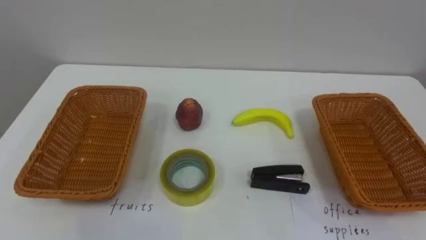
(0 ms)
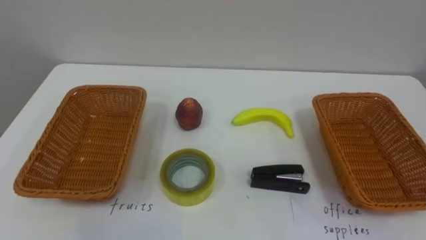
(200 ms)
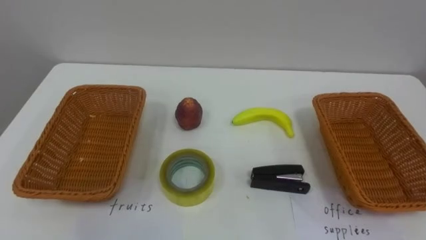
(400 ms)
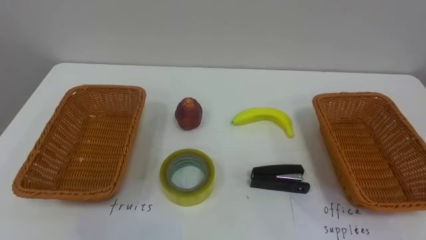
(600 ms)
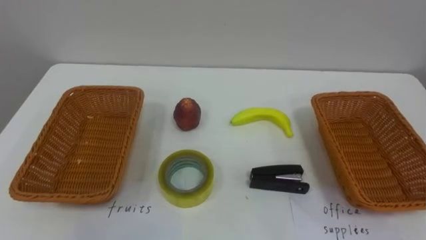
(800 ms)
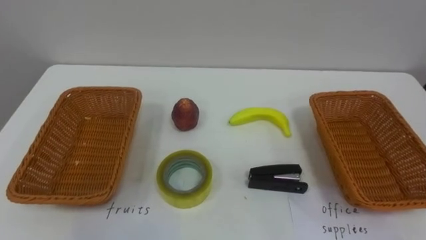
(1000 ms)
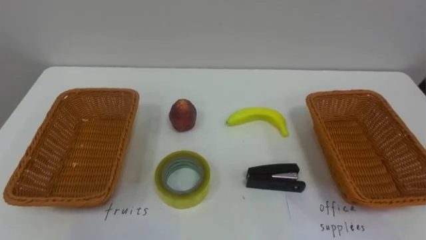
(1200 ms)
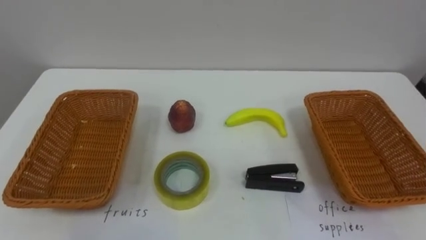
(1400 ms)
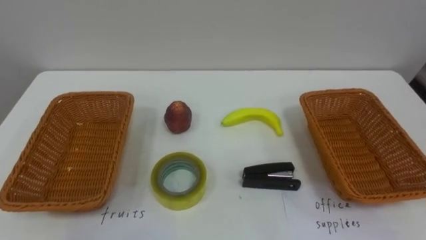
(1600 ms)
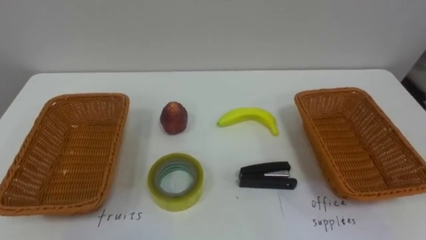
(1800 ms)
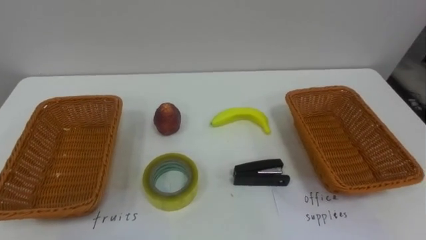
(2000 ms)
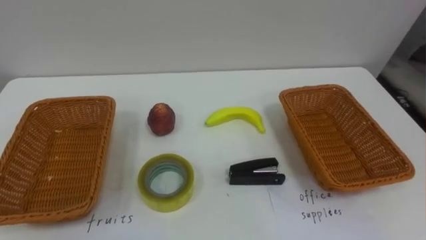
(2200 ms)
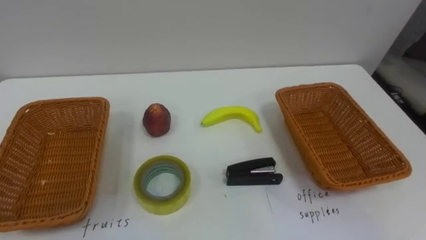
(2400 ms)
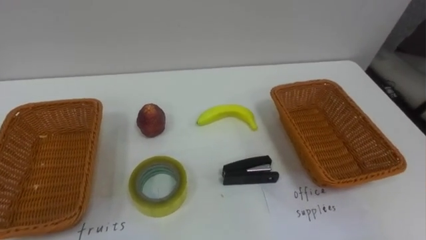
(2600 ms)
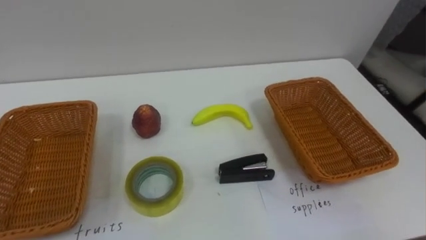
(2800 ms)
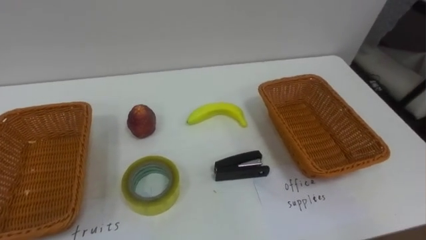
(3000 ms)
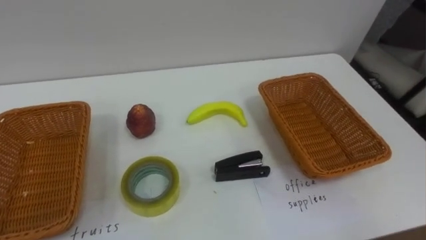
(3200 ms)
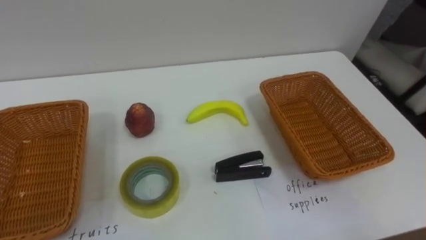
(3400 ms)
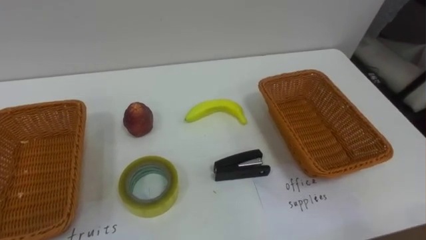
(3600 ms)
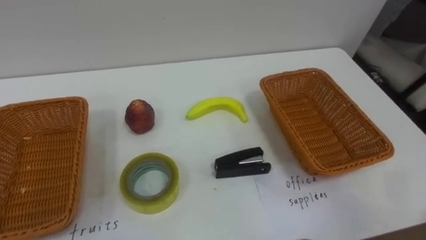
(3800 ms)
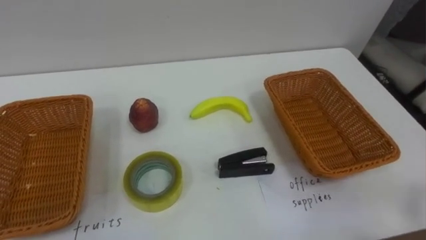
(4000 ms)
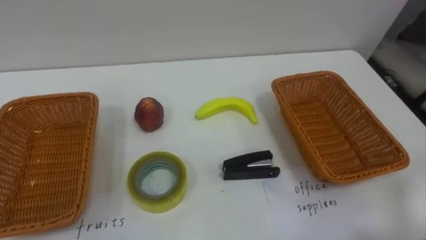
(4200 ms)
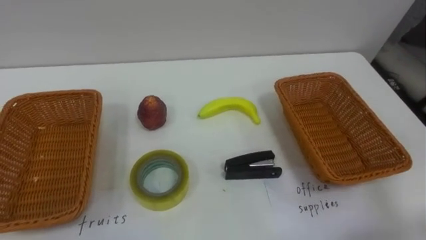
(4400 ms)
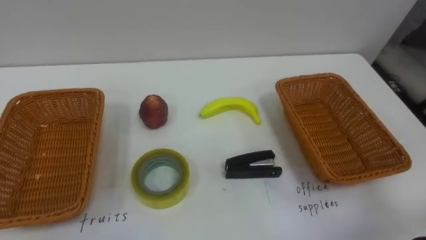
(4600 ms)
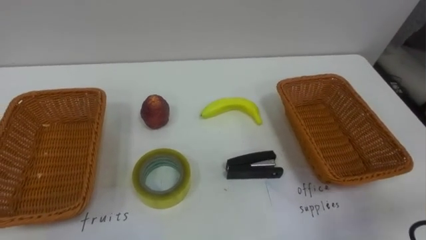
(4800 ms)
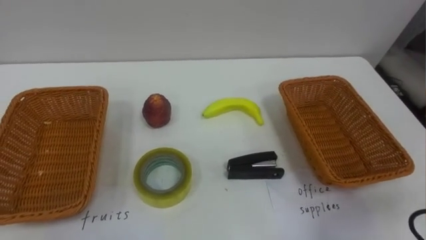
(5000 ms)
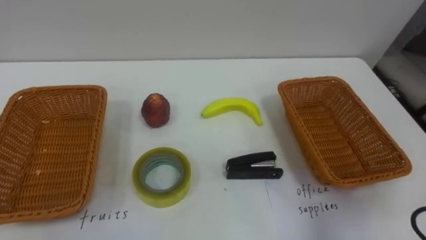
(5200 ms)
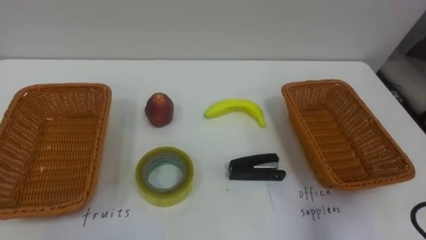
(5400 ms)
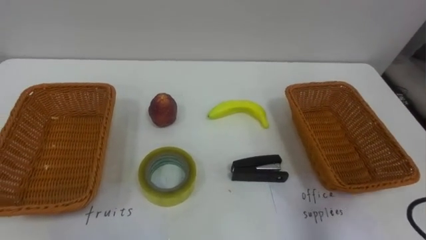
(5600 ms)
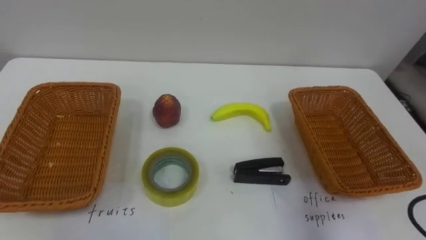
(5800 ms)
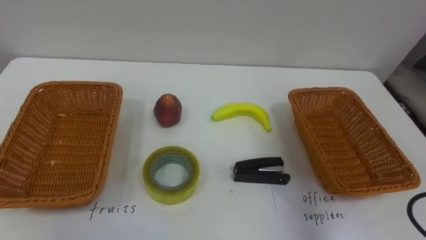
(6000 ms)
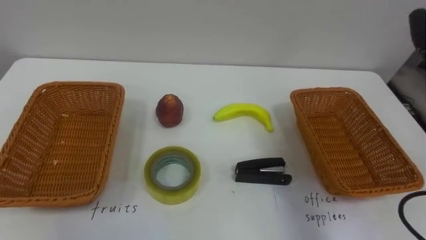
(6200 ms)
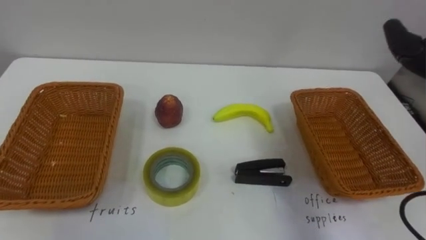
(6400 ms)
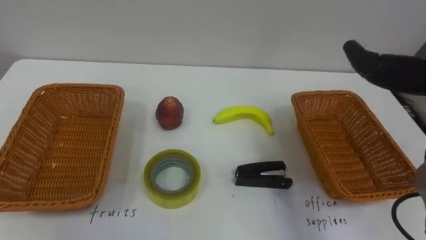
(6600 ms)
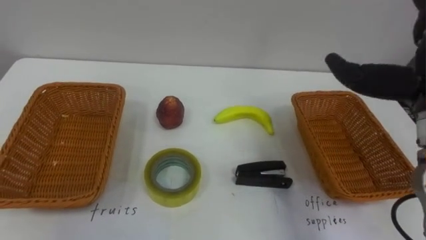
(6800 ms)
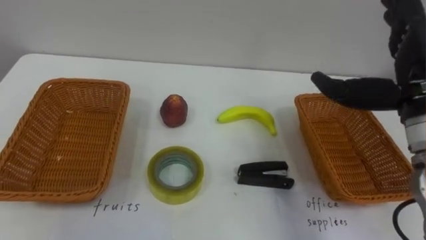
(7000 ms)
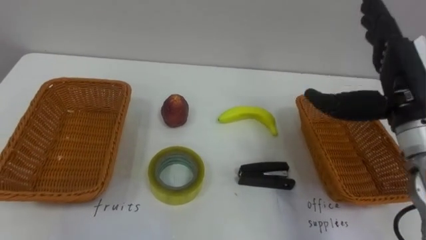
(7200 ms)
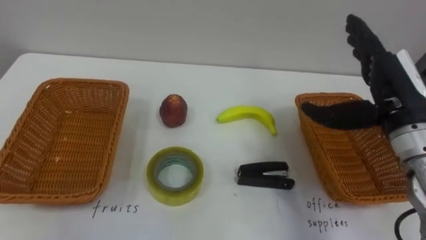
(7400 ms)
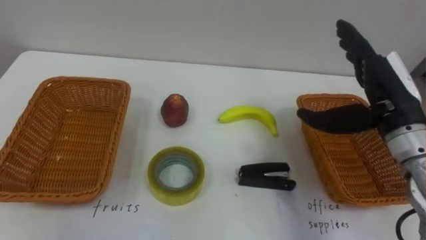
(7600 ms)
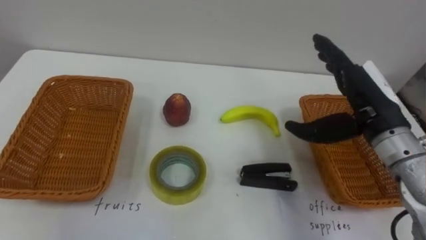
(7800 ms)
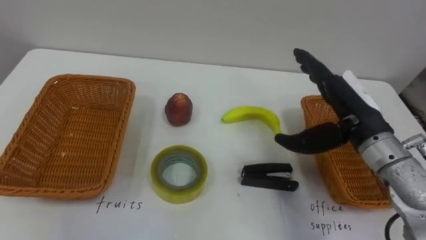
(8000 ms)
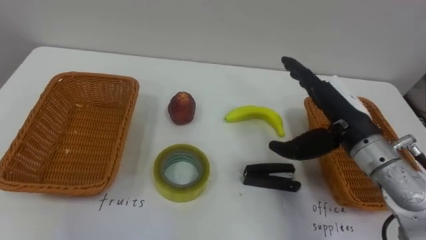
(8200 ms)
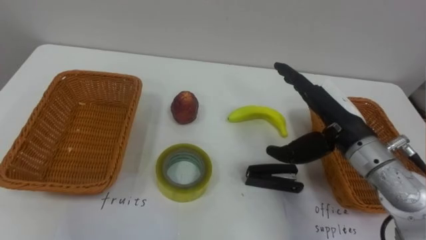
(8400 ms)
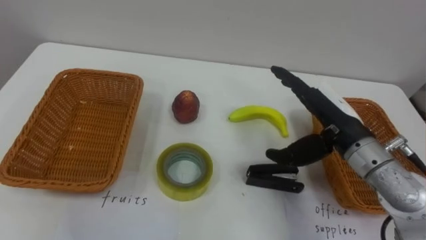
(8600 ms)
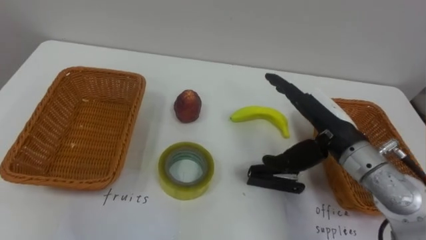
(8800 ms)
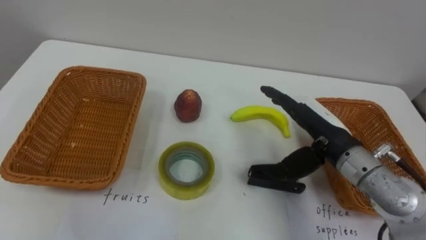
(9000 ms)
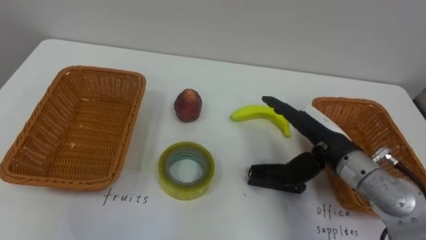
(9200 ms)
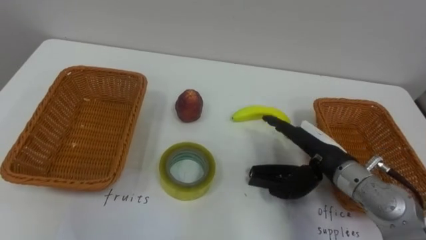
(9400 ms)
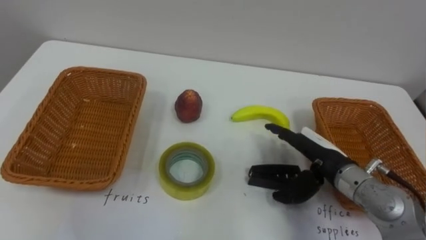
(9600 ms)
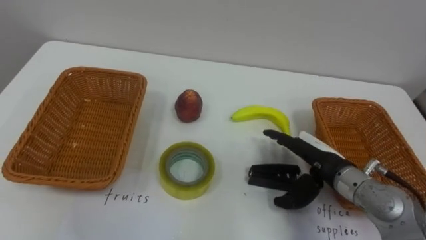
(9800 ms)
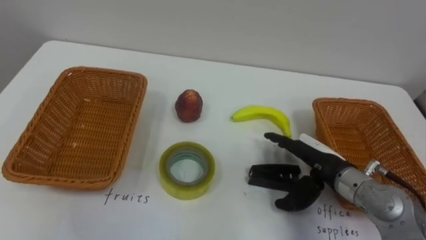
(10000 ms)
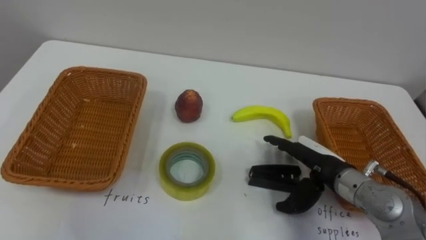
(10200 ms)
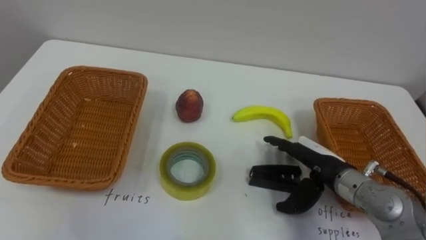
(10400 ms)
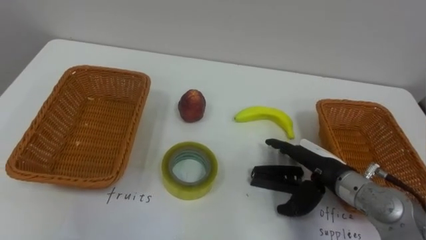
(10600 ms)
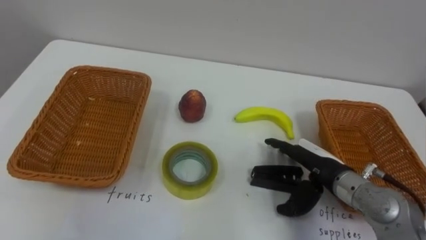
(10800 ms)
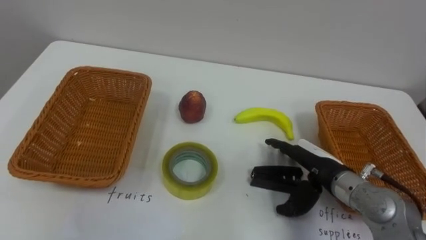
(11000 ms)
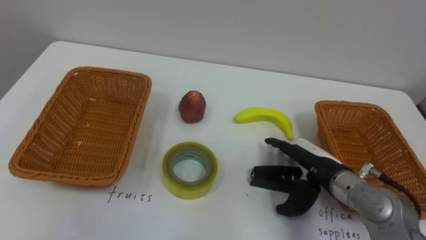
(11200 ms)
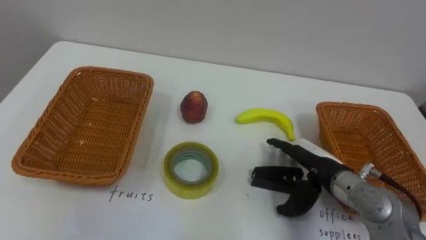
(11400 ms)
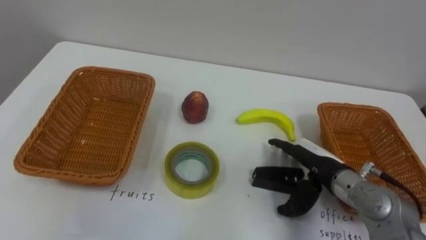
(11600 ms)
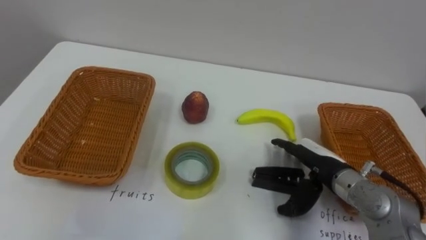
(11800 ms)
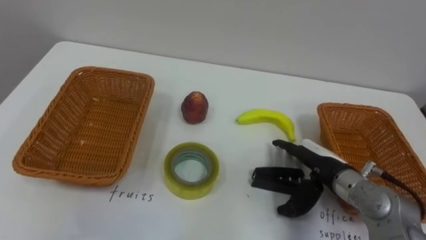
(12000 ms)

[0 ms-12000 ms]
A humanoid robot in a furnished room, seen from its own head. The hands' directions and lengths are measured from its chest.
Task of the whole recording: Separate the items on the table and place them into the two baskets.
7600 ms to 9000 ms: The right hand travels to the left and downward by roughly 10 cm.
9000 ms to 10400 ms: The right hand travels downward by about 10 cm.

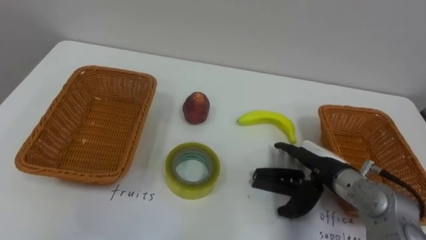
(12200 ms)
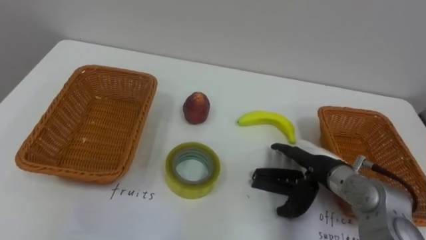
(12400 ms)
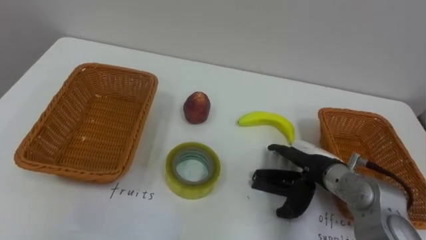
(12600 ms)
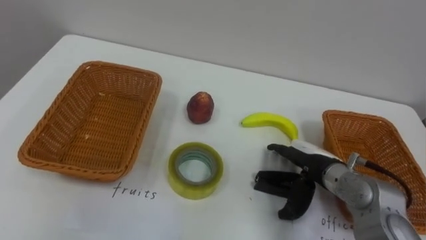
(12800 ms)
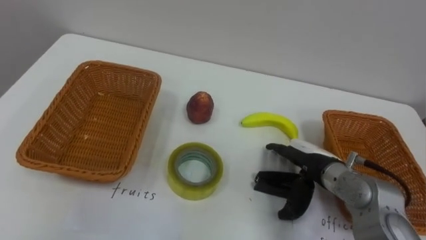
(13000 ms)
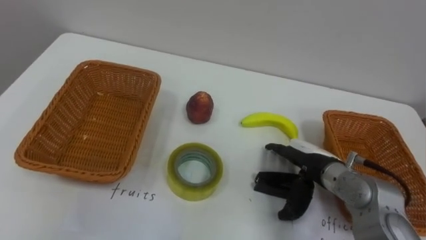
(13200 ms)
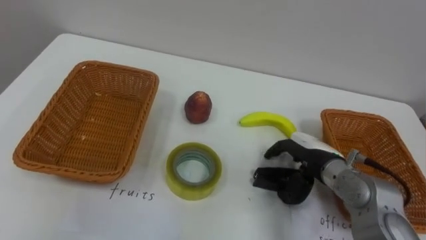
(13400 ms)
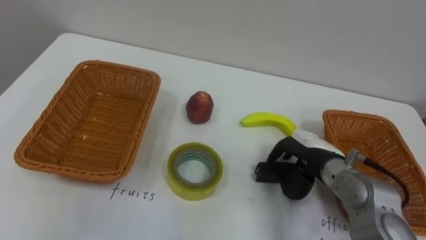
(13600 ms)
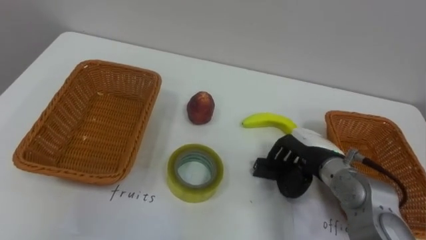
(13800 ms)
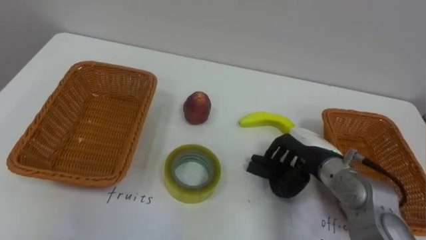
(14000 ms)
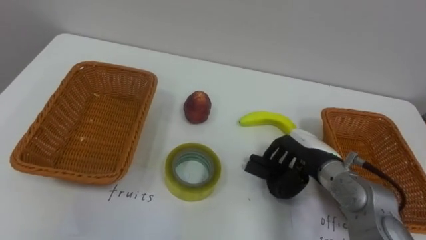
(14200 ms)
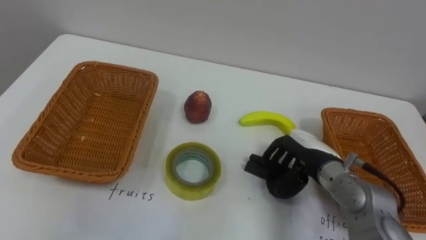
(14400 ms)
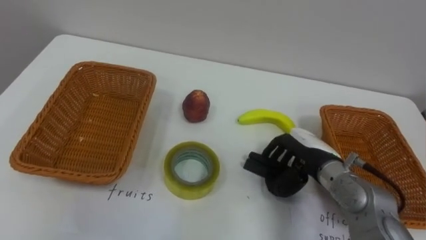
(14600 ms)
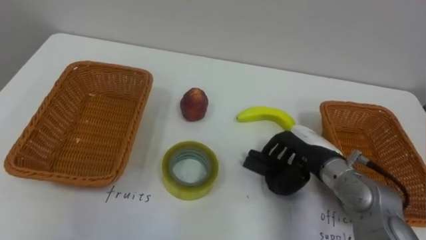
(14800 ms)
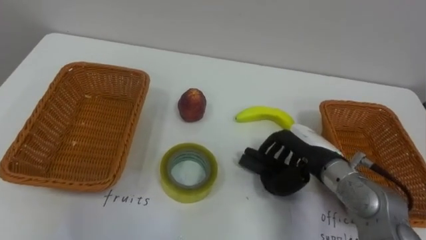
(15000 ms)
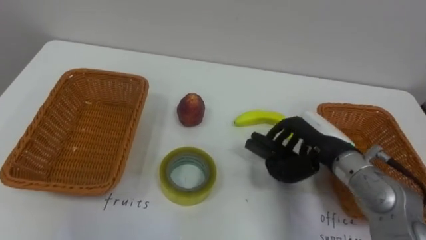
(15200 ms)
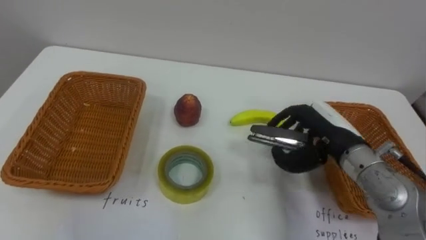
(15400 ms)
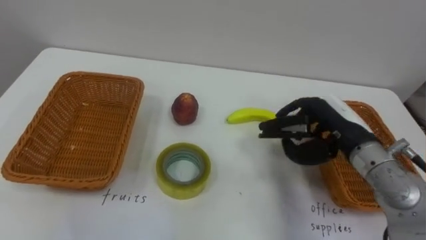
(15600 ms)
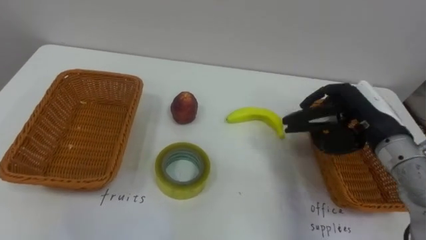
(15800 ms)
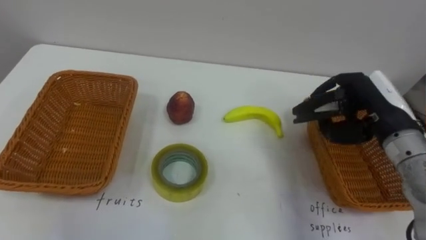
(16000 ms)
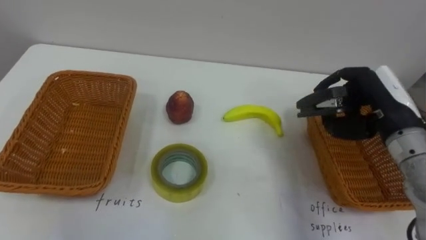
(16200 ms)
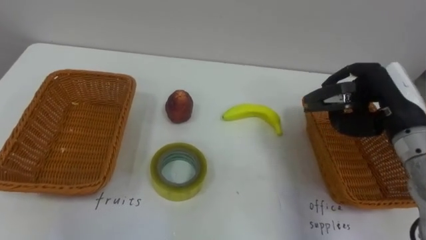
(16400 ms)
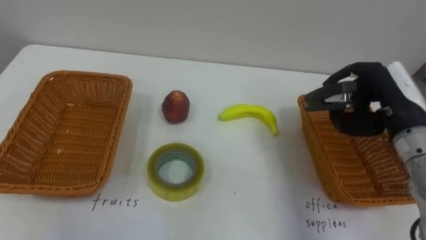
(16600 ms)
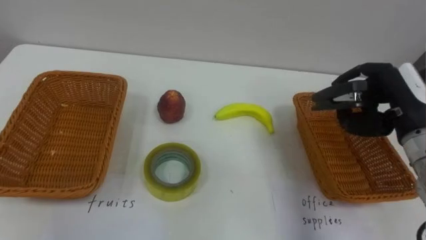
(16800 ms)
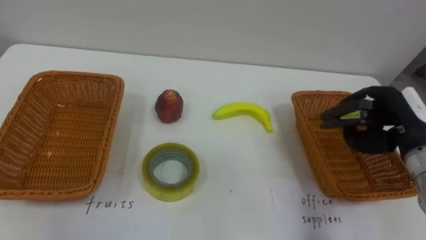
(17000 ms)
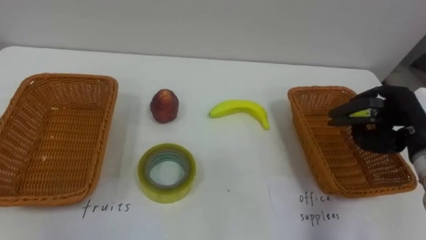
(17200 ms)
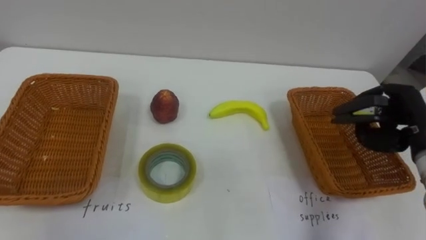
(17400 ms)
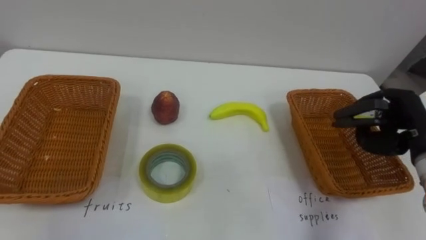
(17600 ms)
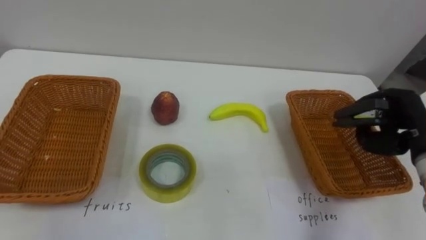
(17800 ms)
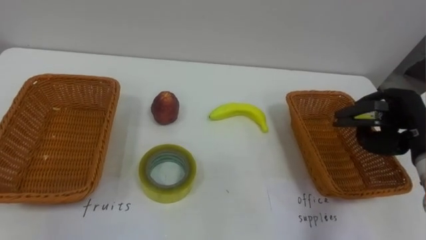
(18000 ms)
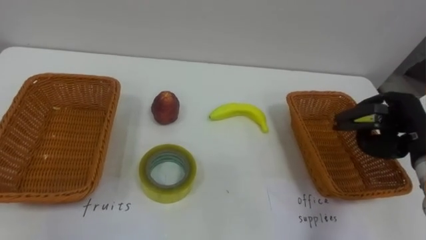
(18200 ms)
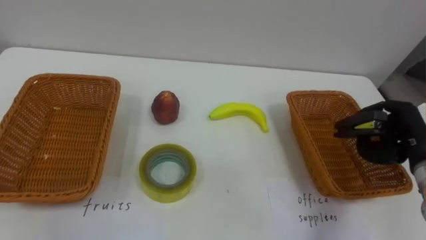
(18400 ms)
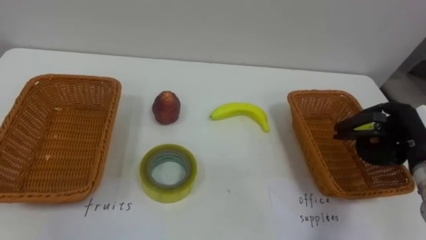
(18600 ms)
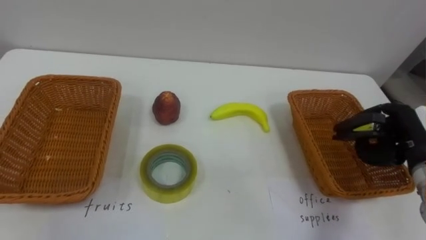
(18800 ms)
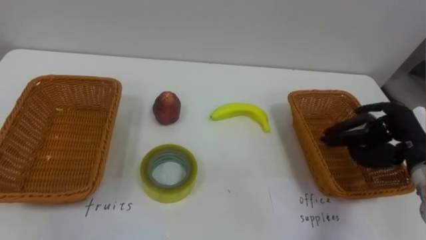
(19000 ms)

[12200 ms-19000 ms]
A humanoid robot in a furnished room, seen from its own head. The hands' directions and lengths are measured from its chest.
Task of the whole recording: Separate the items on the table and place them into the two baskets.
12200 ms to 13600 ms: The right hand closes up.
15000 ms to 16200 ms: The right hand is displaced upward and to the right by about 15 cm.
16200 ms to 17600 ms: The right hand is displaced to the right by about 5 cm.
